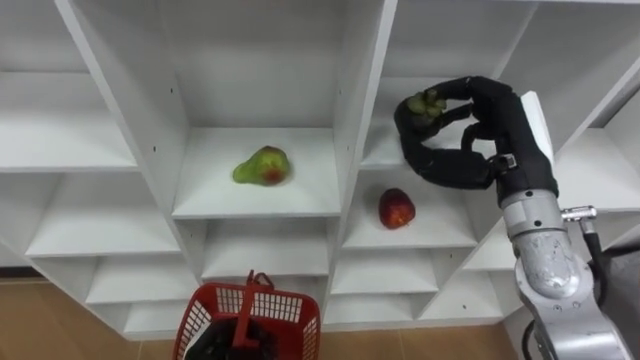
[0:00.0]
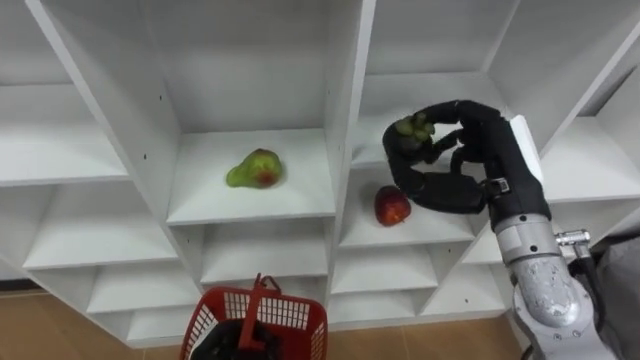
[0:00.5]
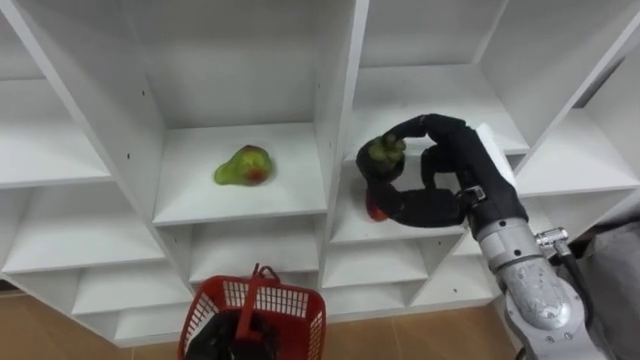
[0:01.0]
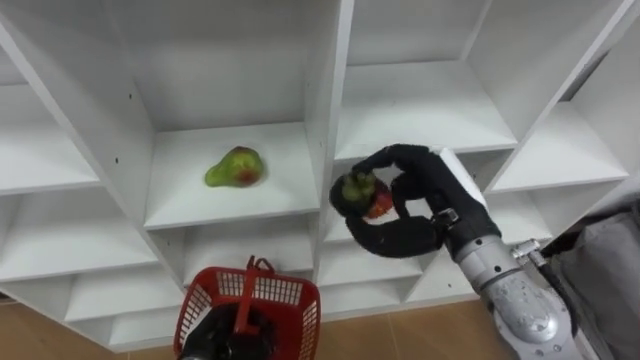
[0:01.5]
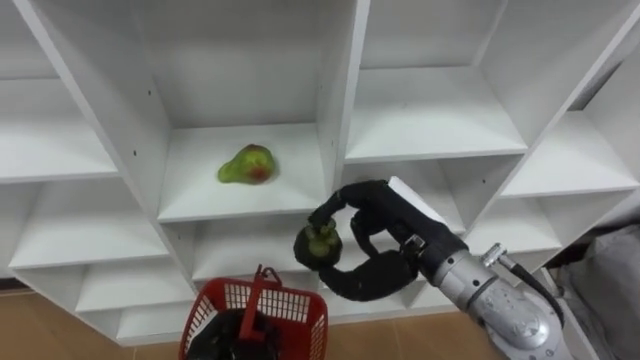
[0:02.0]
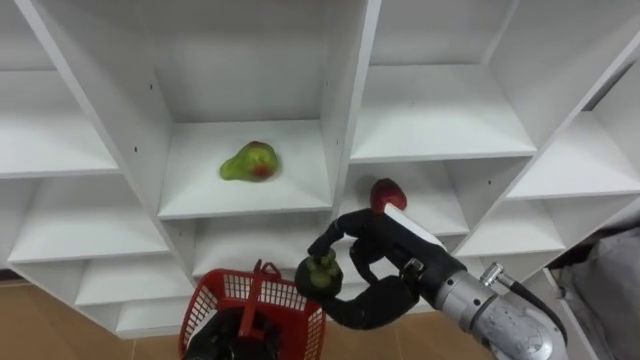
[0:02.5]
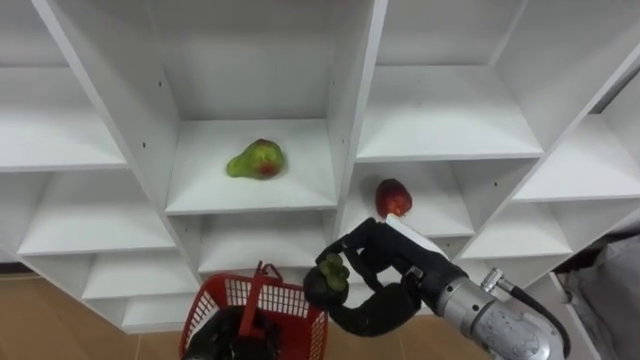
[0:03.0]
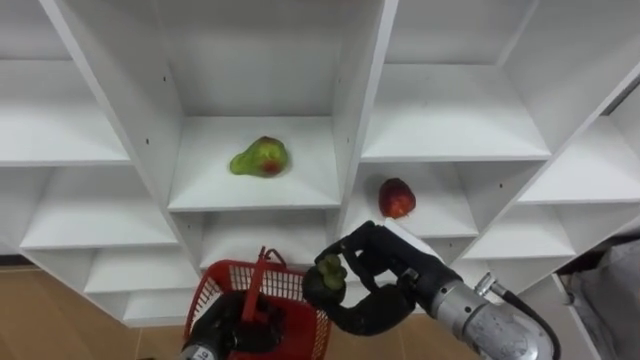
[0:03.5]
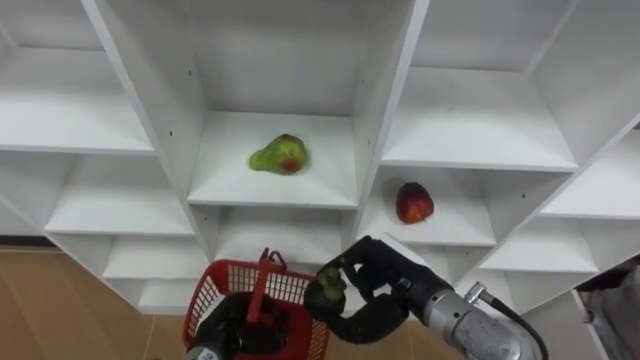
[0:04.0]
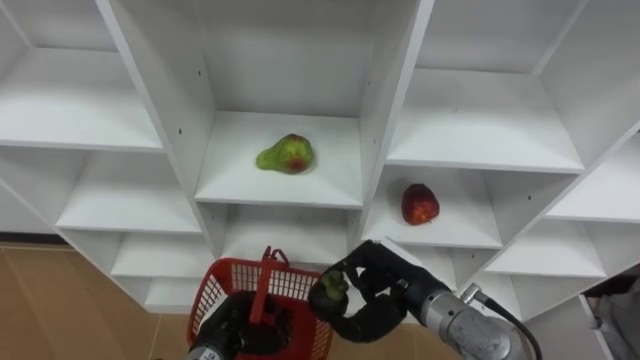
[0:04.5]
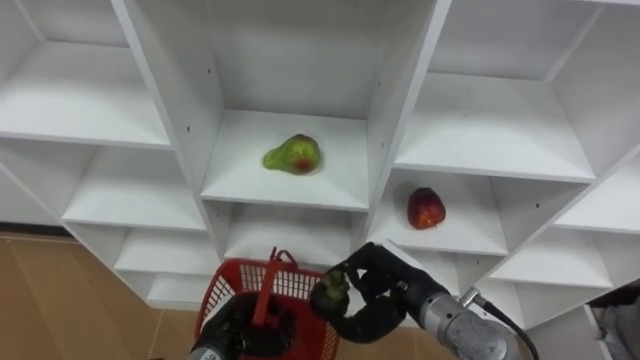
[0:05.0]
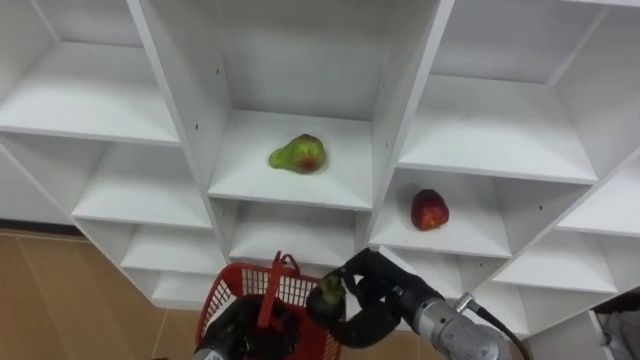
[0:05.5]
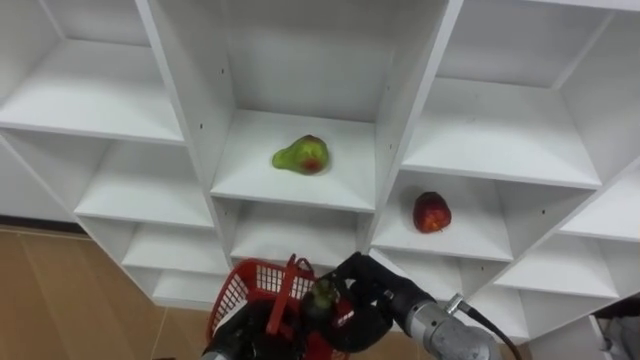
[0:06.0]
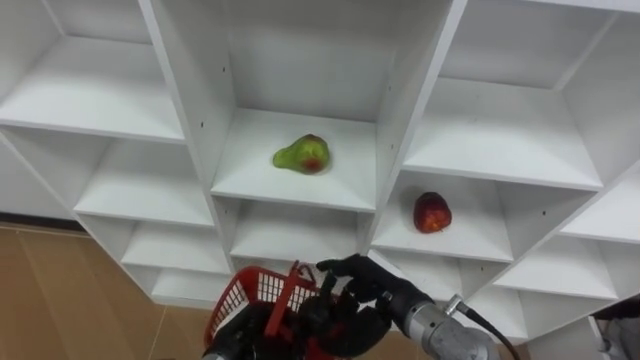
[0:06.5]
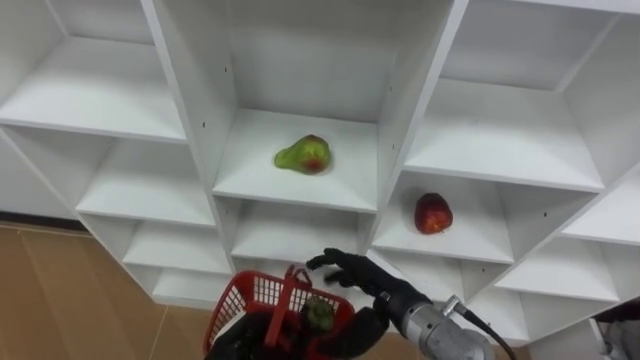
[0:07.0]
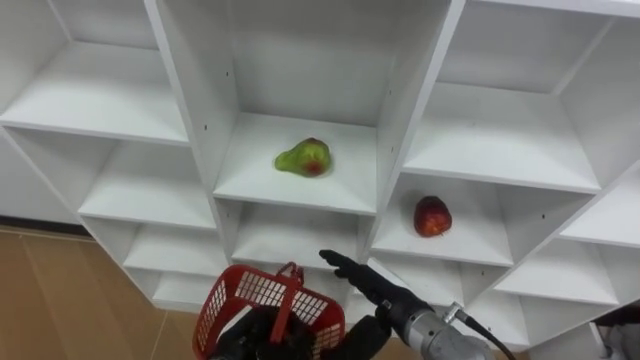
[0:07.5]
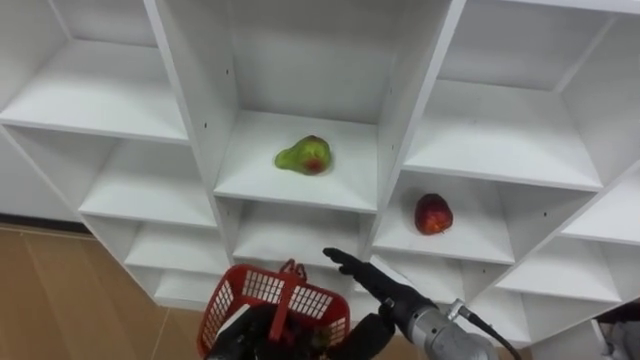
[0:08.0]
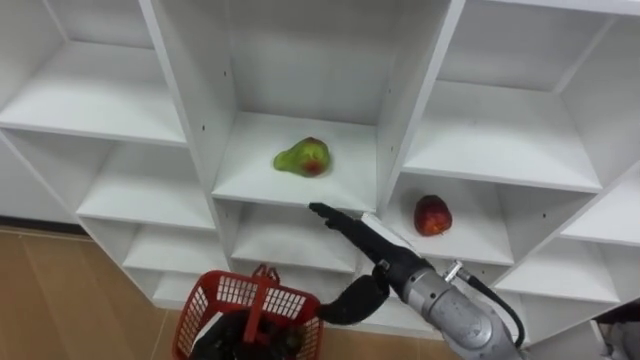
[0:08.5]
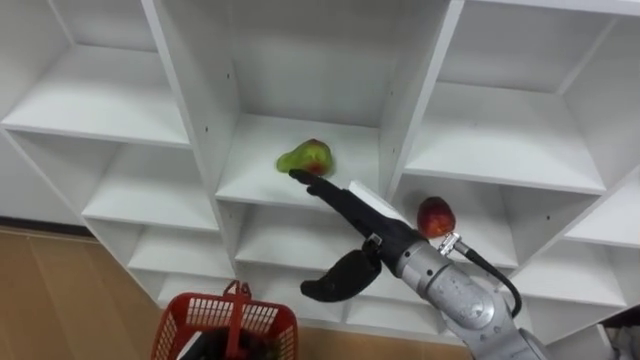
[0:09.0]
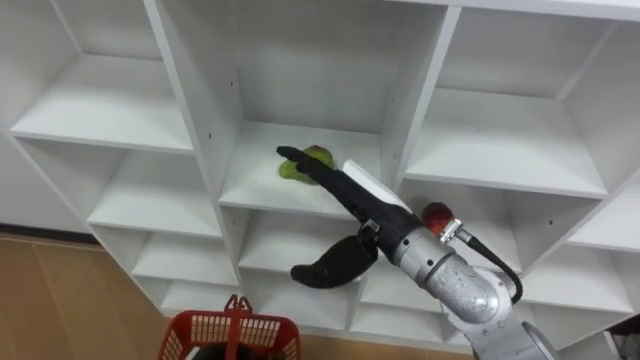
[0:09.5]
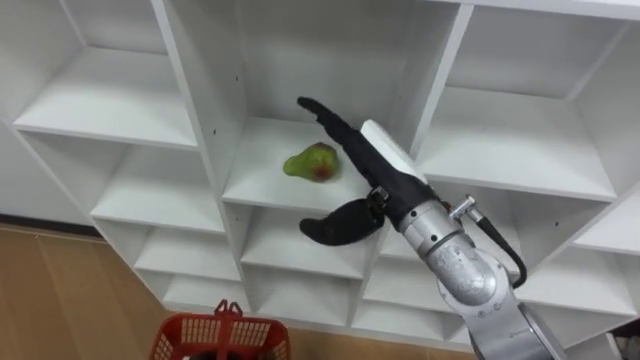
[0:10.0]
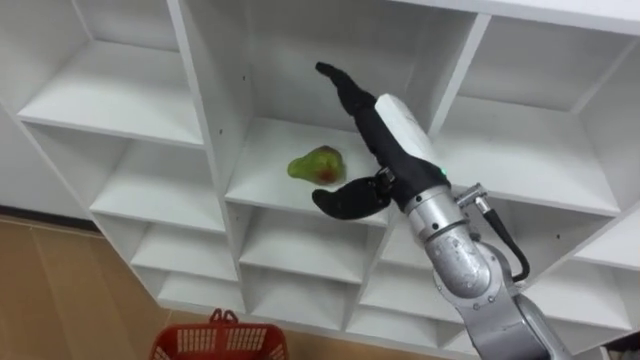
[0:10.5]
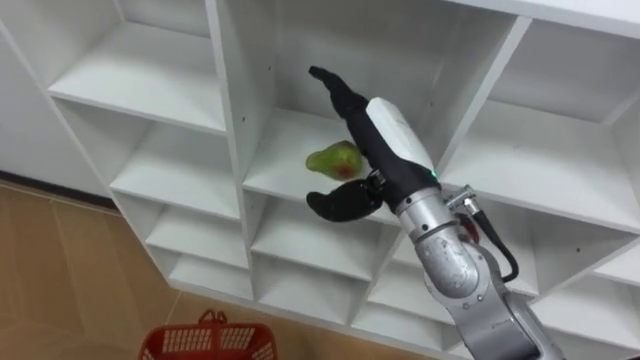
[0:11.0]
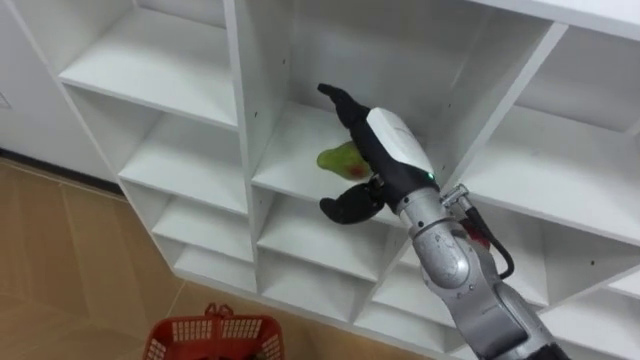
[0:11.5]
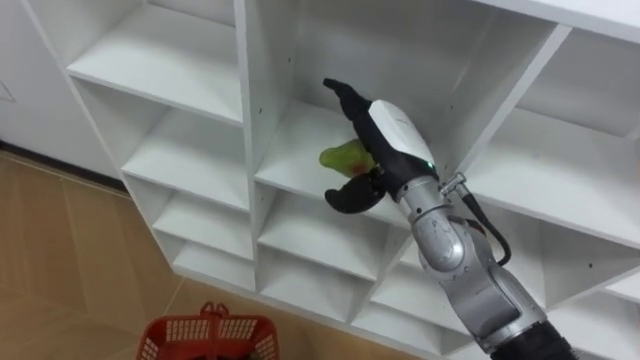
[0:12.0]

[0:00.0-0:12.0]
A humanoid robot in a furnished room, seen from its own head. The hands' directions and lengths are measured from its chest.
Task of the whole recording: Hold the basket and collect the fruits from 3 different cells of the closet into it.
0.0 to 2.0 s: The right hand heads to the left, downward and backward, covering some 15 cm.
2.0 to 4.0 s: The right hand is displaced downward by approximately 10 cm.
6.0 to 8.0 s: The right hand opens up.
8.0 to 10.0 s: The right hand heads upward and forward, covering roughly 20 cm.

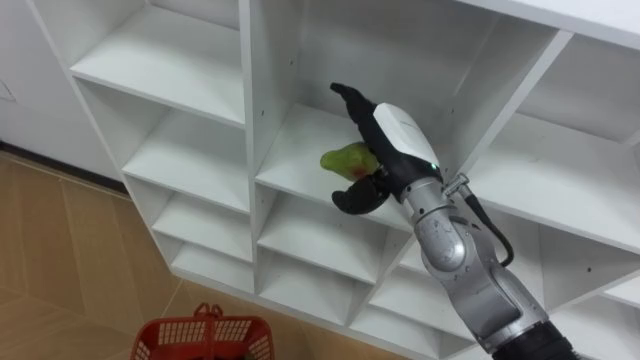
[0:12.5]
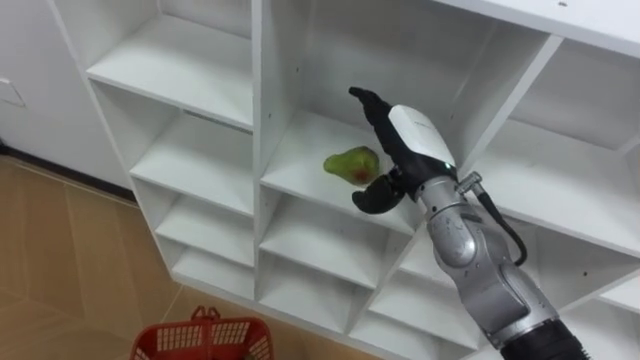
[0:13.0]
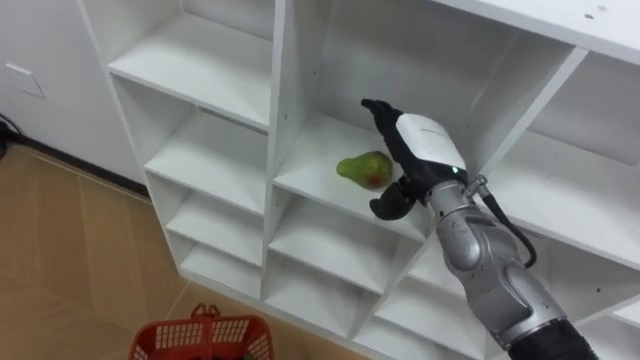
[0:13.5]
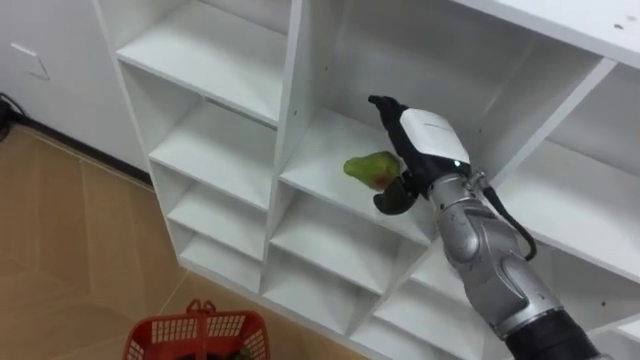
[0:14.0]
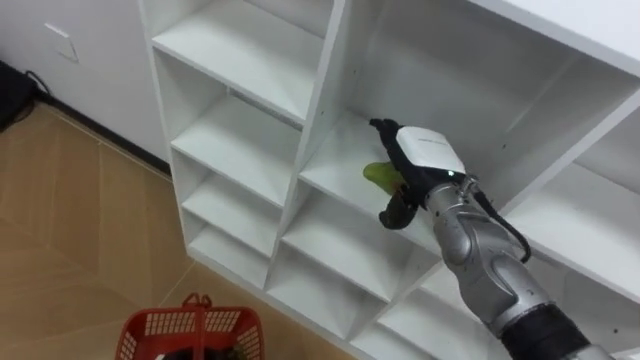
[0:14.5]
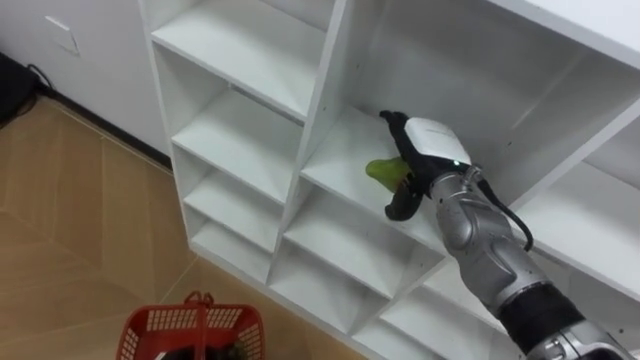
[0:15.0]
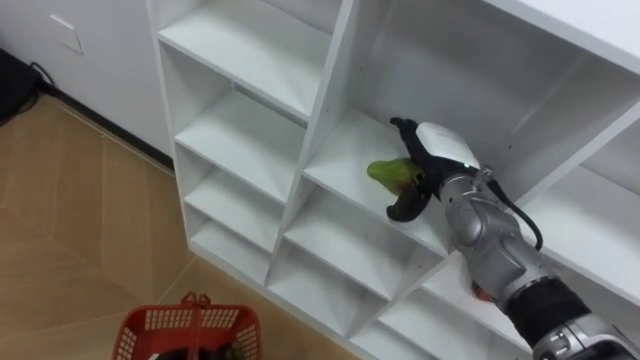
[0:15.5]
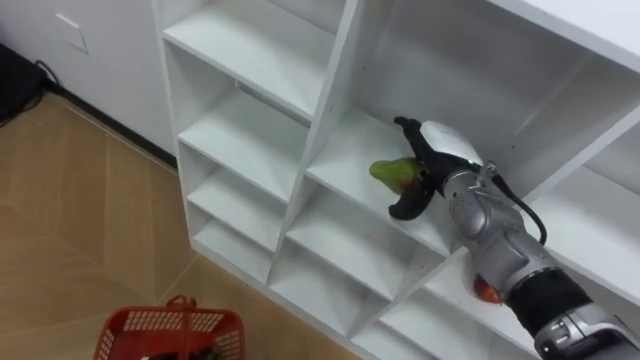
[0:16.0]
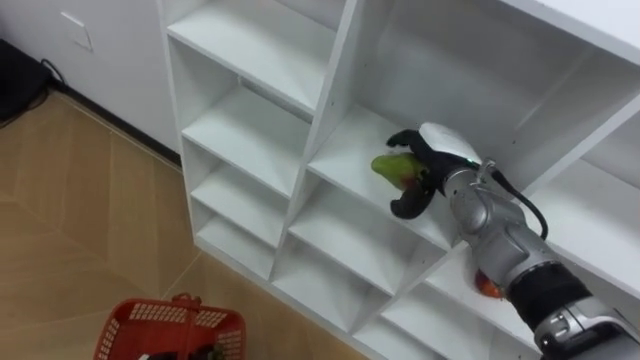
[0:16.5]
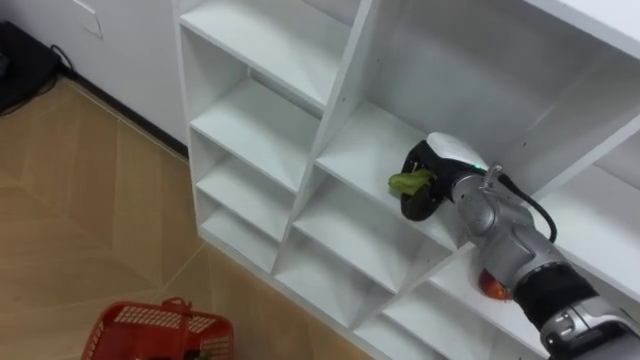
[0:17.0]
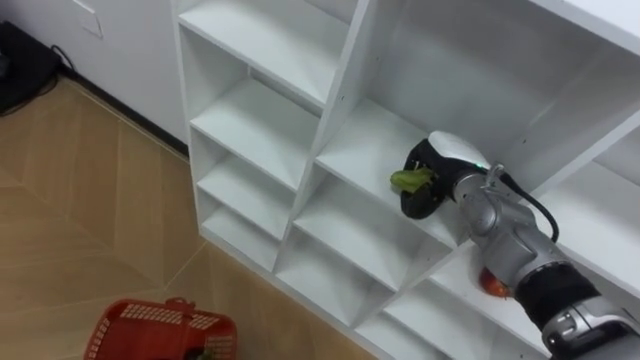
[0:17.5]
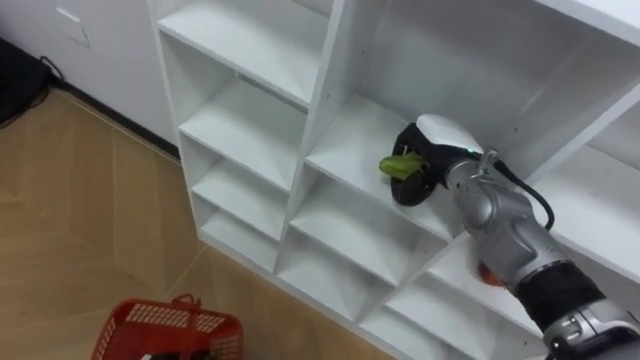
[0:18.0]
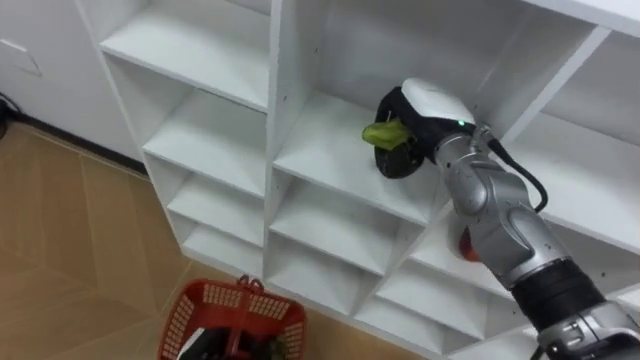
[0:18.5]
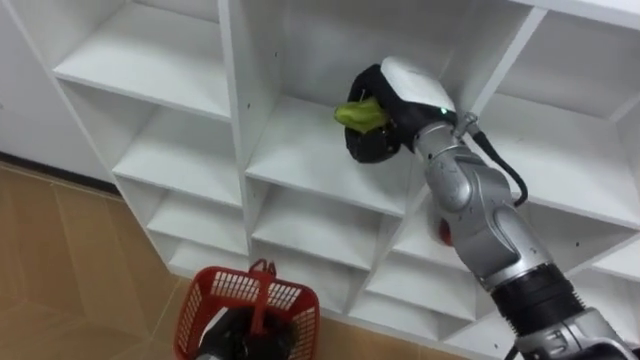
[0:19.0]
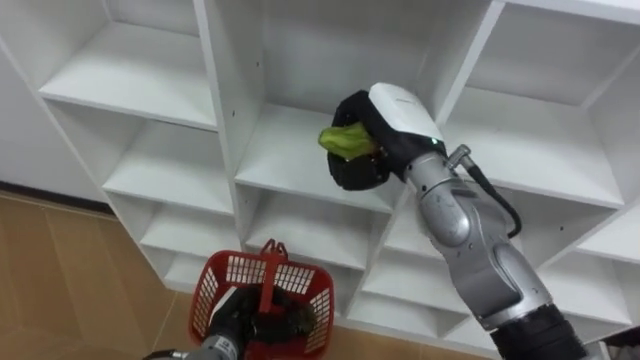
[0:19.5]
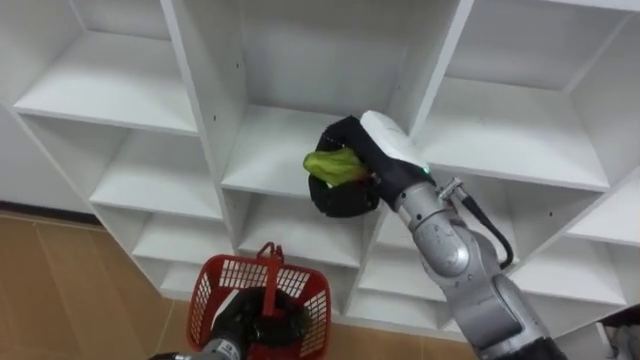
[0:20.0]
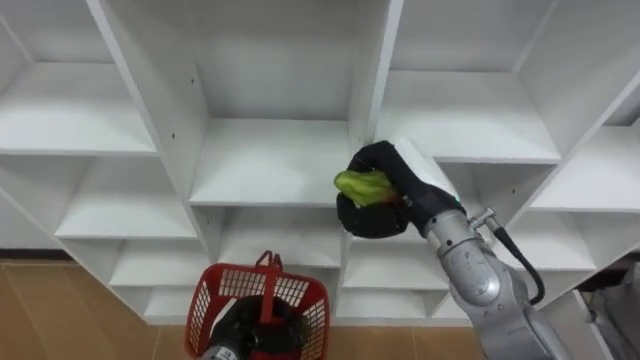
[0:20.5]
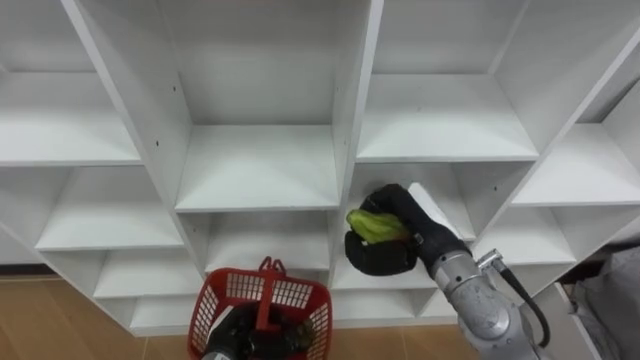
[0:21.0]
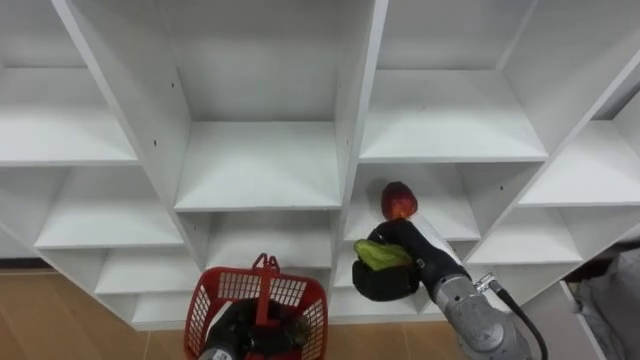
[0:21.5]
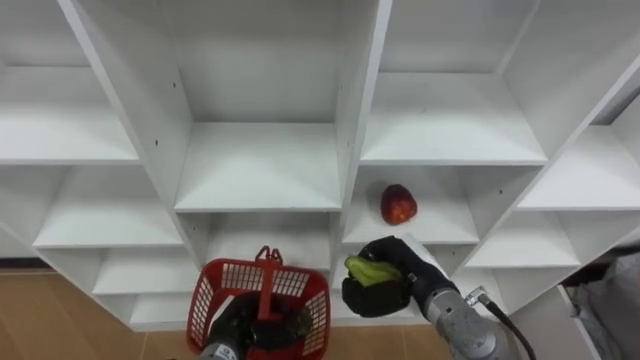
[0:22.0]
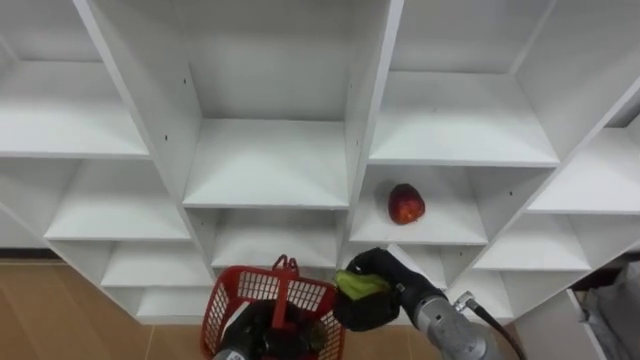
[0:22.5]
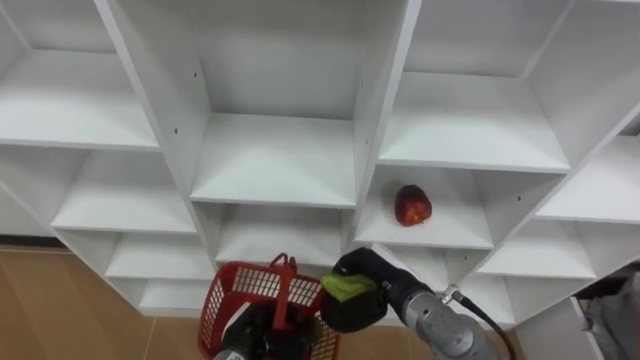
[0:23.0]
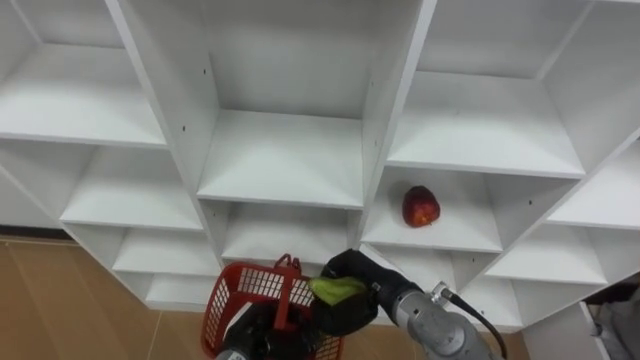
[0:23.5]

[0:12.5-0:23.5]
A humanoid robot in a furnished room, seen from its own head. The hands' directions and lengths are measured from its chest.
Task of the whole recording: Hold the basket and collect the fruits from 3 different cells of the closet into it.
12.5 to 14.5 s: The right hand changes place by approximately 5 cm.
16.0 to 18.0 s: The right hand closes.
18.0 to 20.0 s: The right hand is displaced to the left, upward and backward by some 10 cm.
20.0 to 21.5 s: The right hand moves downward, backward and to the right, some 15 cm.
21.5 to 23.5 s: The right hand heads to the left, covering approximately 5 cm.
